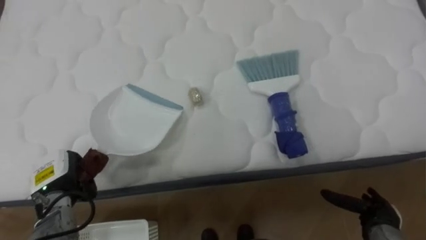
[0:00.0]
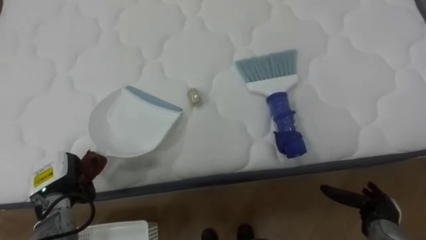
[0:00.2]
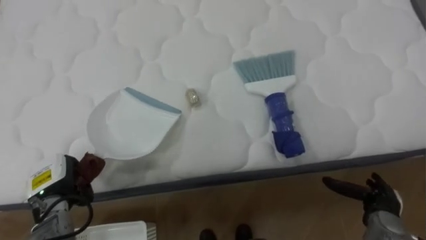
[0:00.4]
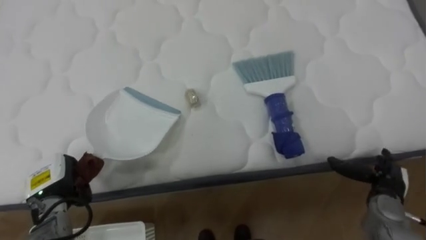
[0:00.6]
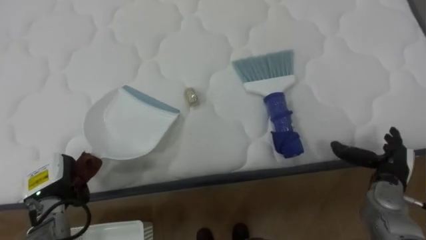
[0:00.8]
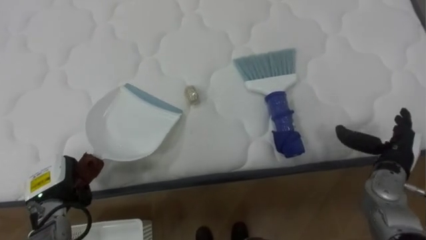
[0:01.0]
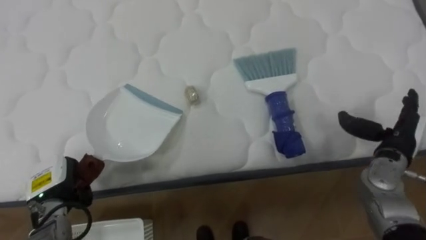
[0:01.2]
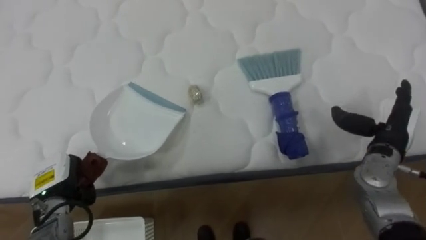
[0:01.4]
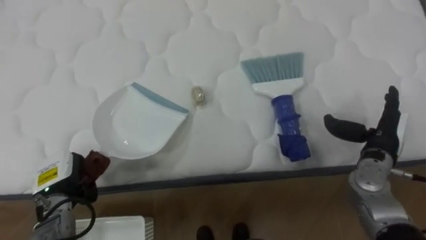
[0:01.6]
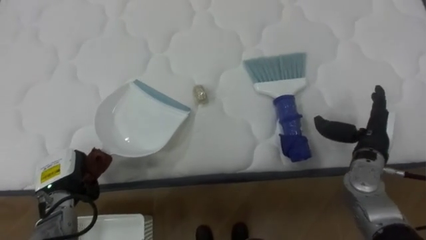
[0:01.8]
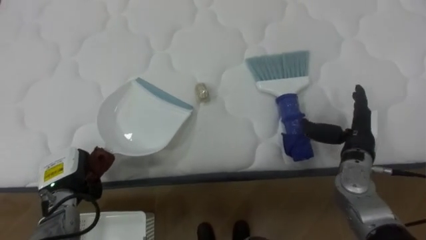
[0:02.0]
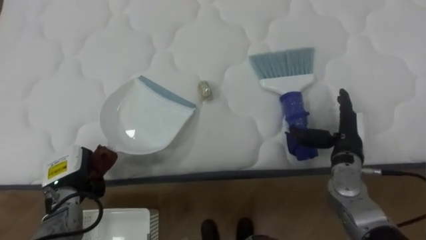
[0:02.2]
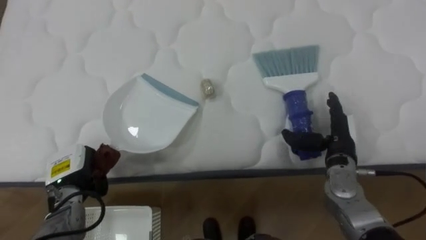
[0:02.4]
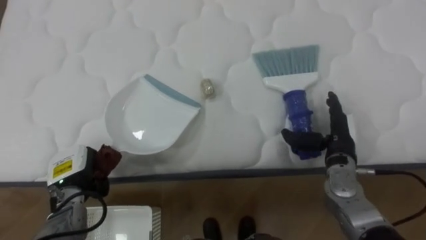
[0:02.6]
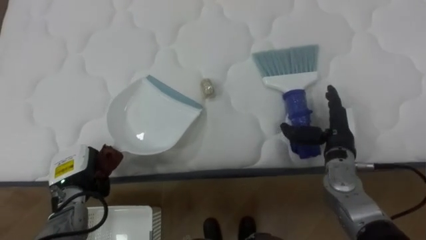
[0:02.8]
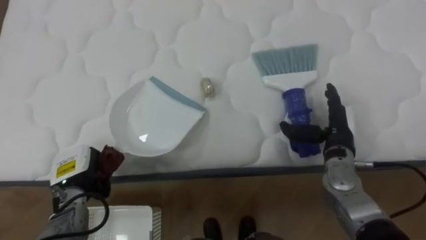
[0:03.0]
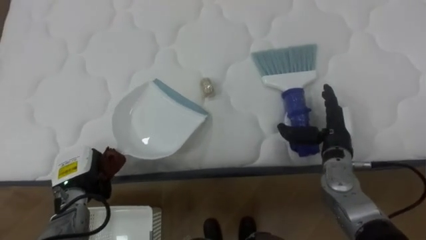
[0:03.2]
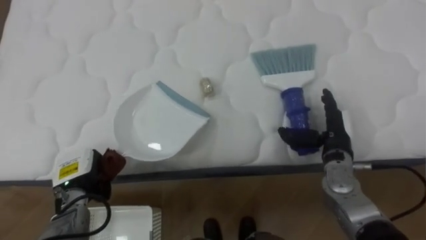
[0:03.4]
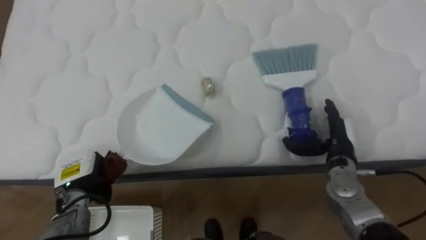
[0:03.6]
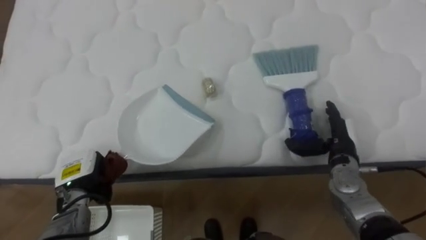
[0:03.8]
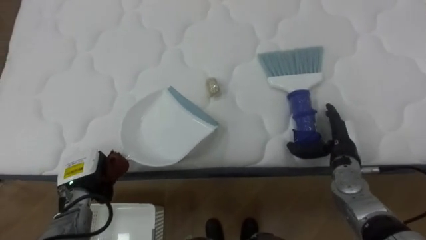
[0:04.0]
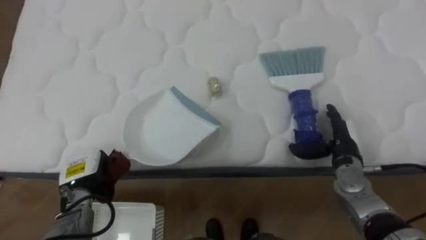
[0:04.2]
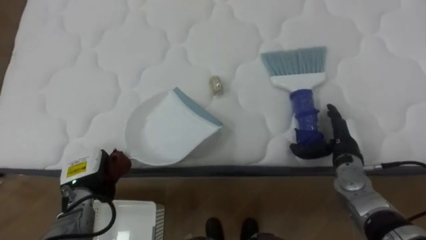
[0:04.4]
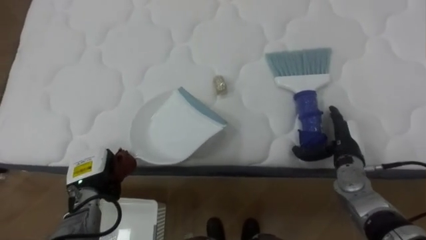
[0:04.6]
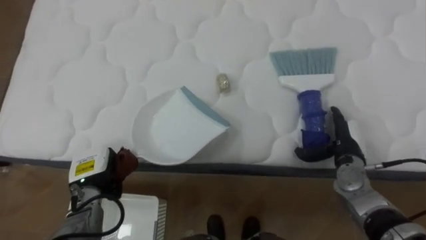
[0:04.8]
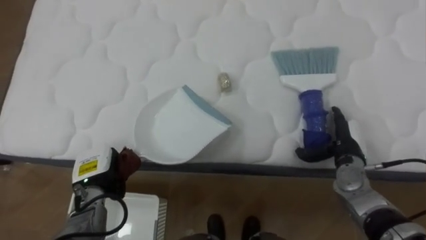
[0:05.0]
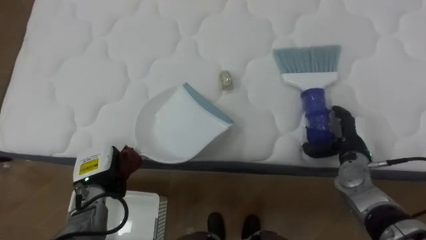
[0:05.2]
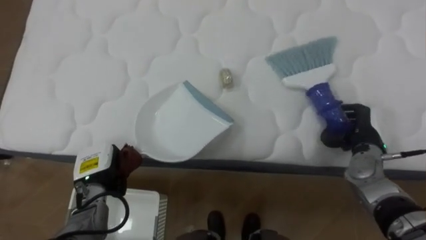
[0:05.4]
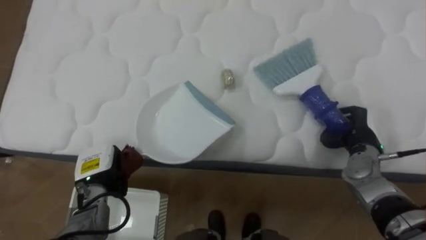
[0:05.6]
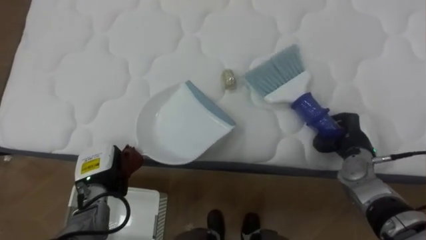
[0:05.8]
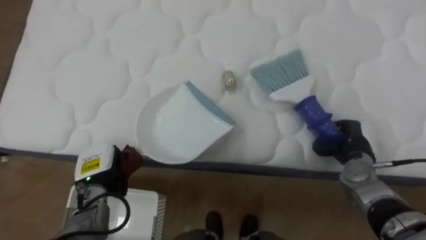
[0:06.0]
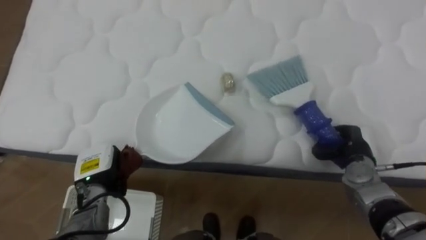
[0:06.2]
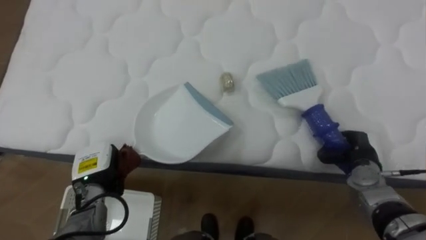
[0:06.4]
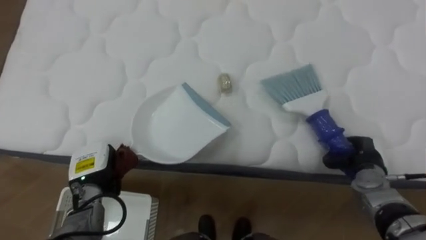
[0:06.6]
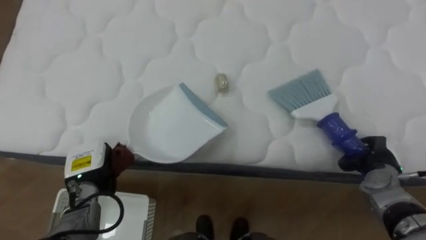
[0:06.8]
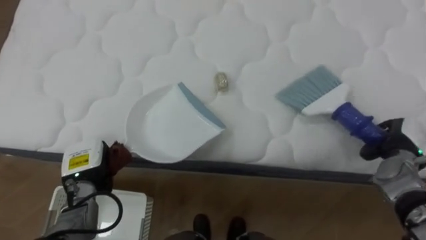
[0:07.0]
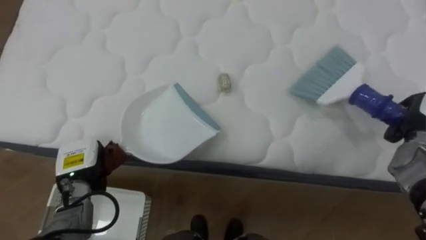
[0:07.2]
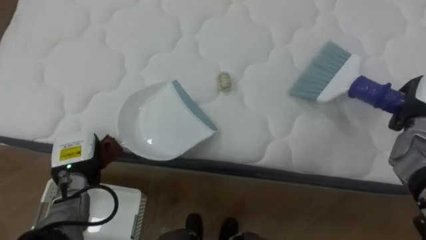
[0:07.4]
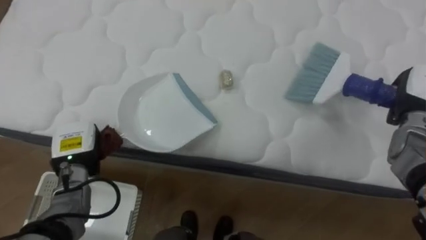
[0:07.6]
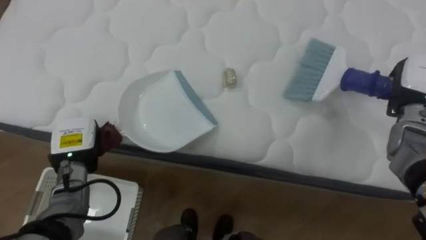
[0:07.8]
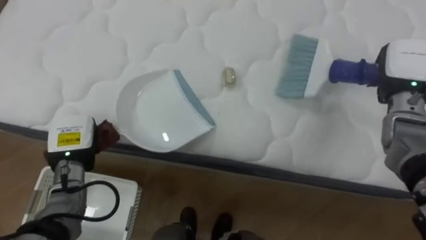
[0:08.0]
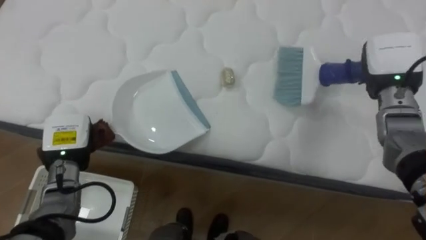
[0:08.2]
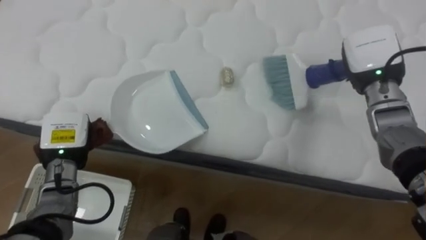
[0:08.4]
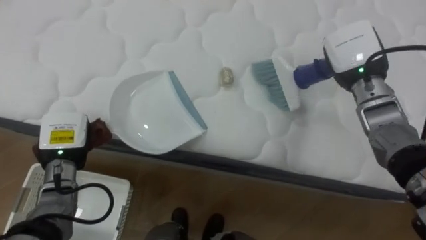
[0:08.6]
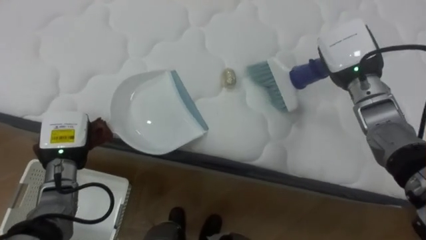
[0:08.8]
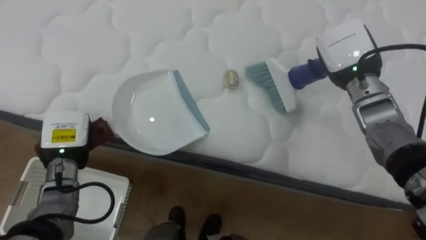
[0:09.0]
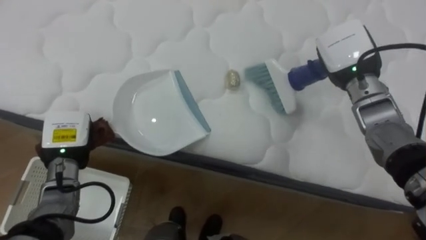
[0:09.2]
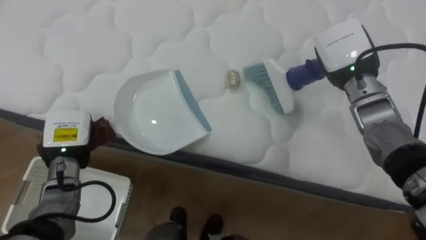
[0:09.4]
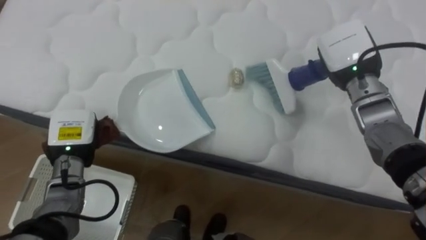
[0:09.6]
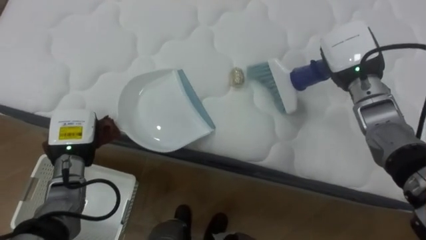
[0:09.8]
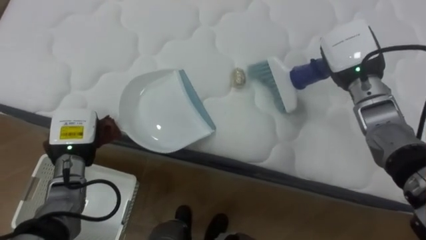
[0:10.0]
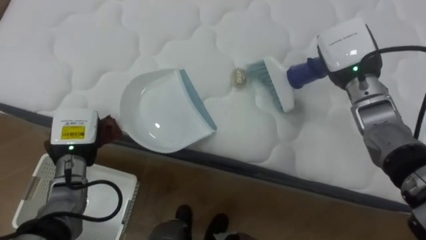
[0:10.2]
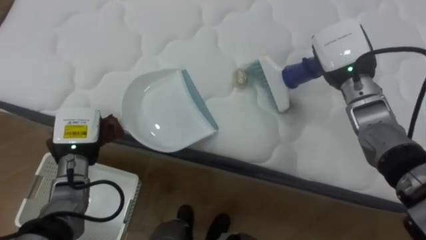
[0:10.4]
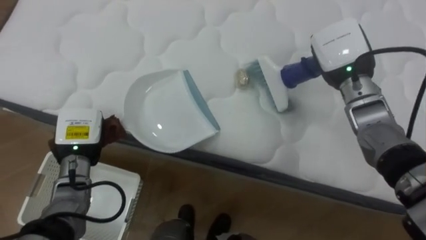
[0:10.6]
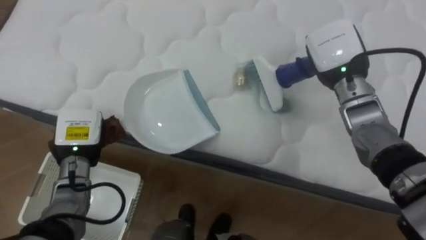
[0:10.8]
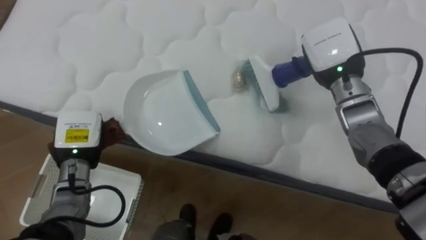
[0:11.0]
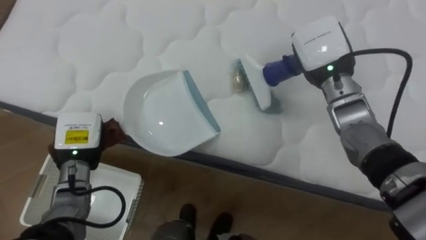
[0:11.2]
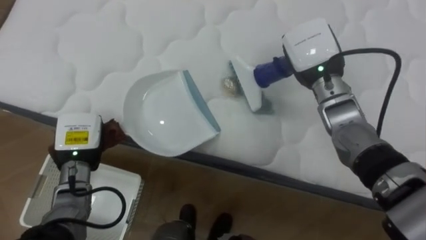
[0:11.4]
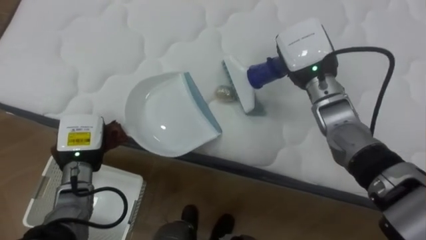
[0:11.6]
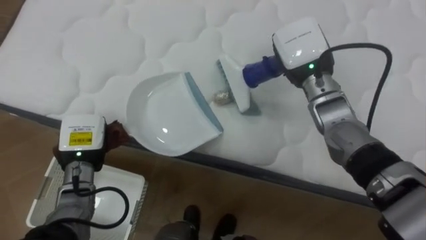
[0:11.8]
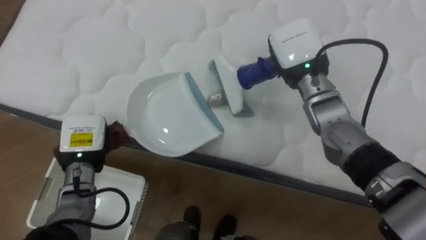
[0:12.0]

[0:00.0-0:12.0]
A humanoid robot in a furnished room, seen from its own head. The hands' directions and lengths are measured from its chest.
Task of the whole recording: Pick up the brush on your right and the dustpan on your left. Use the brush to sweep the crumpled paper on the bed into the dustpan, then turn left and empty it into the basket.
0:00.0 to 0:01.6: The right hand heads upward and forward, covering approximately 20 cm.
0:01.6 to 0:03.0: The right hand travels to the left by approximately 10 cm.
0:04.4 to 0:06.0: The right hand closes.
0:06.0 to 0:07.6: The right hand is displaced upward and to the right by some 15 cm. Meanwhile the left hand changes place by roughly 5 cm.
0:07.6 to 0:09.0: The right hand goes some 15 cm to the left and upward.
0:10.4 to 0:12.0: The right hand heads to the left, covering some 10 cm.

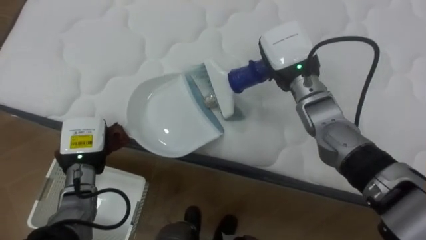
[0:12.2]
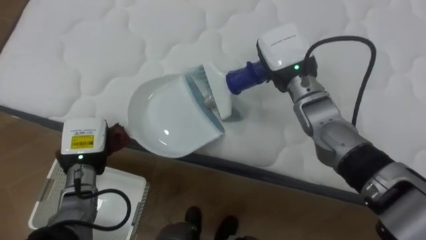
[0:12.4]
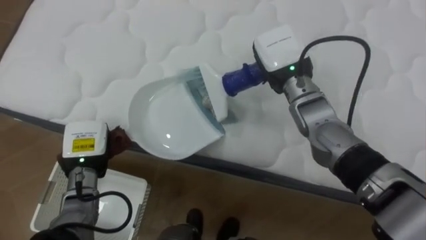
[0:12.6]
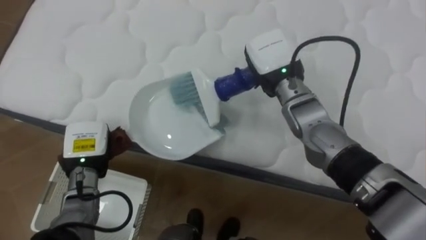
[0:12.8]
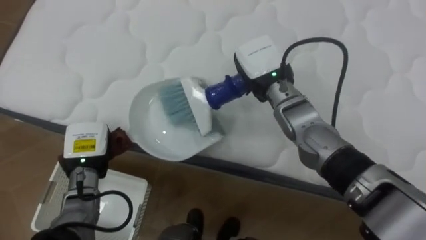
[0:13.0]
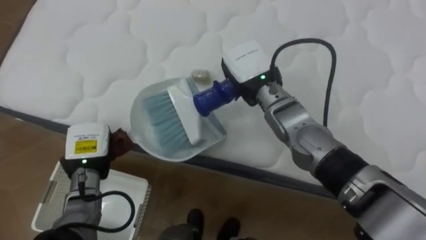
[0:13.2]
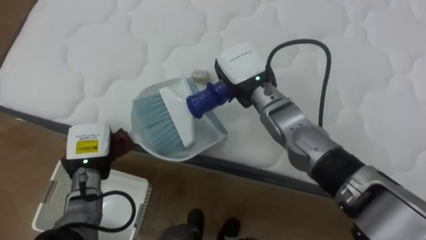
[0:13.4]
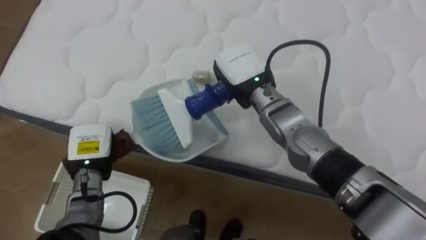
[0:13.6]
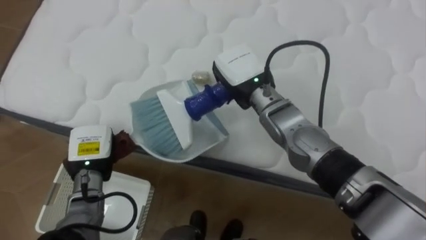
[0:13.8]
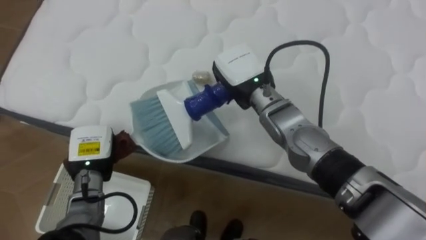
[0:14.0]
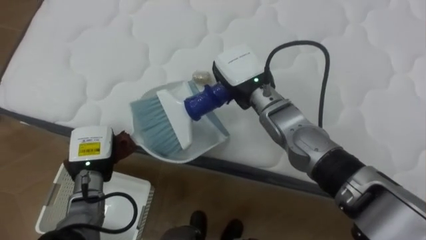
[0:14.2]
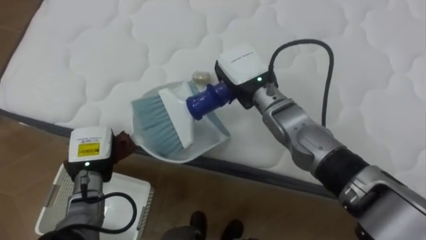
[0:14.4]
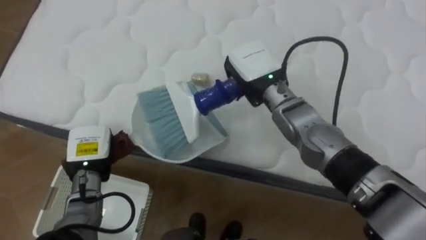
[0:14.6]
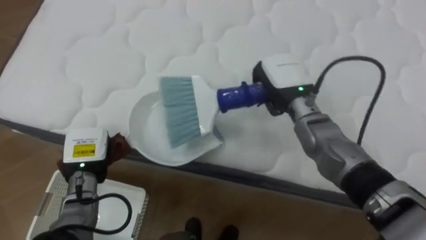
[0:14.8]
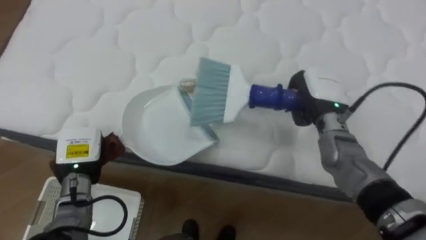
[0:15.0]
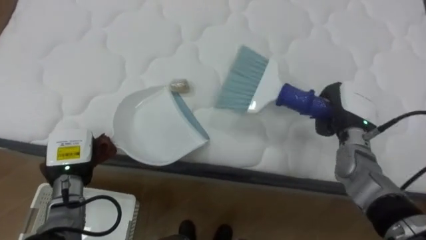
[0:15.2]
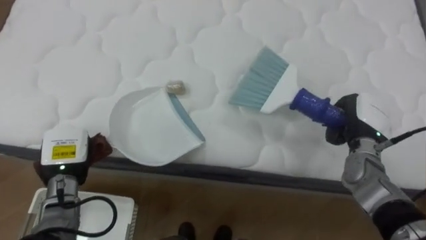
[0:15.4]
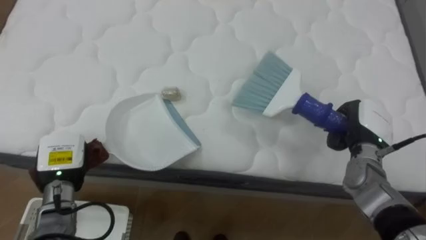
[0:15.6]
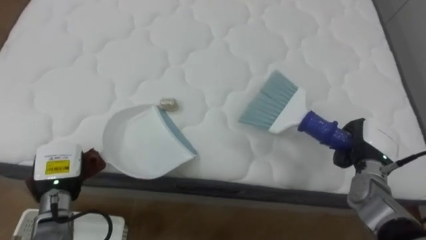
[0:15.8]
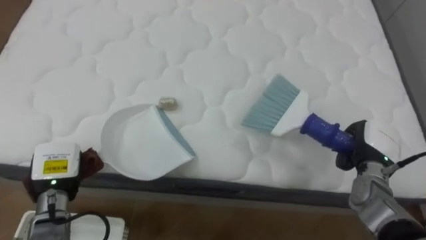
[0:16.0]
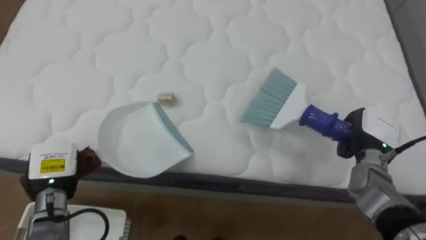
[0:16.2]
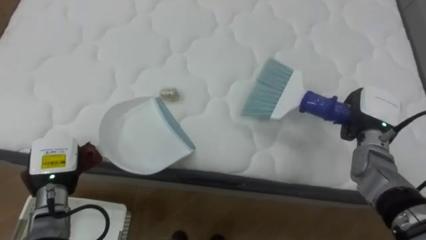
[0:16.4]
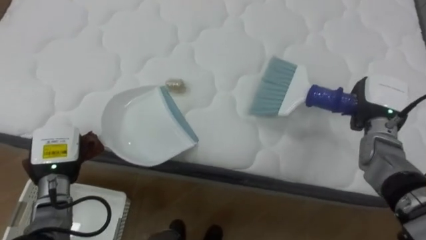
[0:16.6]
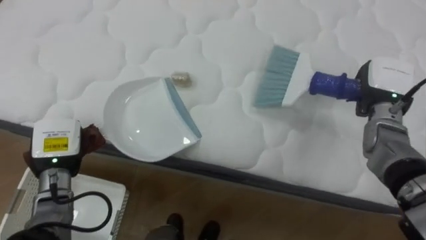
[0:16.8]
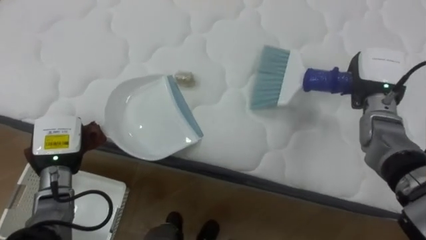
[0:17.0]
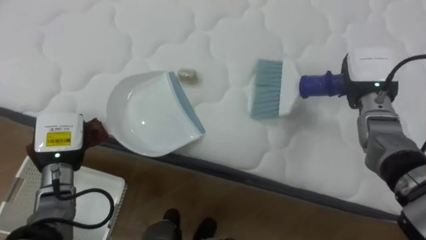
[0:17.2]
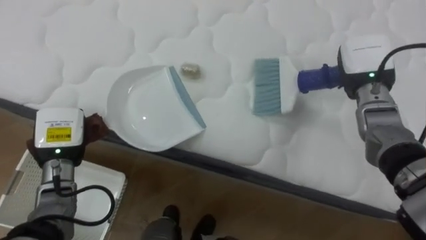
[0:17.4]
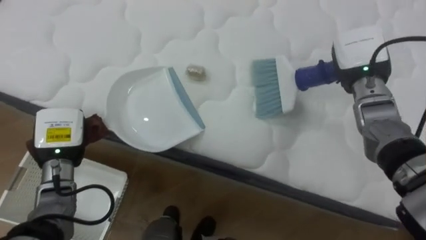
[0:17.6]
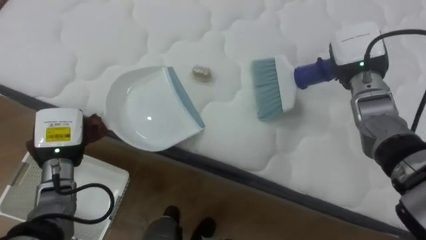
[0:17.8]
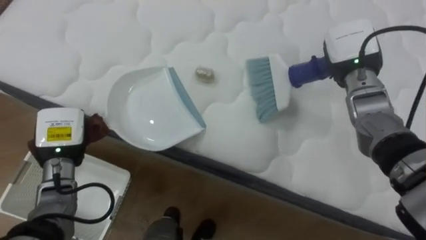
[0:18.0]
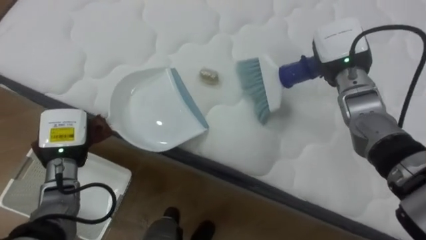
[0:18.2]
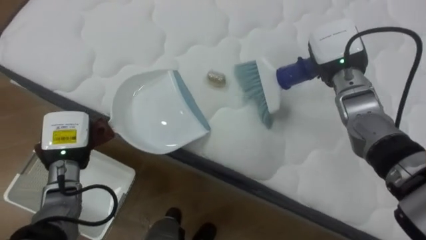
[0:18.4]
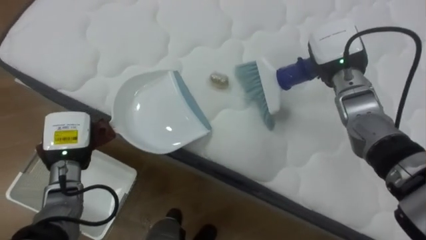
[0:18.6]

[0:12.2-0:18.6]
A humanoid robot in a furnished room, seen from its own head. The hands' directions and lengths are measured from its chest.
Task of the whole recording: Pick up the brush on your right and the dustpan on your left. Use the brush to sweep the crumpled paper on the bed into the dustpan, then turn left and empty it into the basket.
0:12.2 to 0:13.8: The right hand is displaced to the left by about 10 cm.
0:13.8 to 0:15.4: The right hand is displaced to the right by roughly 25 cm.
0:15.4 to 0:17.0: The right hand moves upward and forward, approximately 10 cm.
0:17.0 to 0:18.6: The right hand goes roughly 10 cm to the left.
